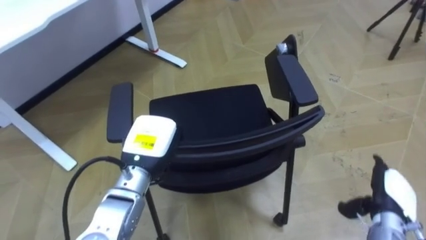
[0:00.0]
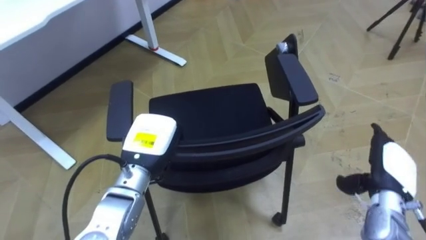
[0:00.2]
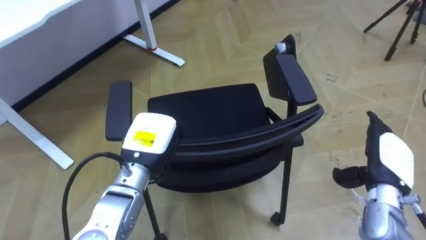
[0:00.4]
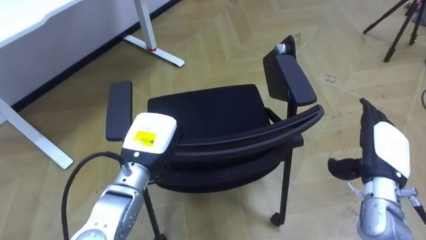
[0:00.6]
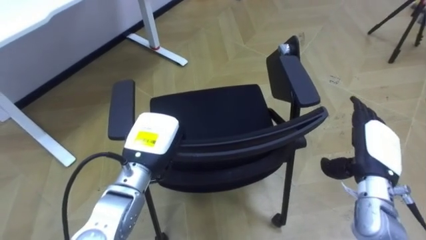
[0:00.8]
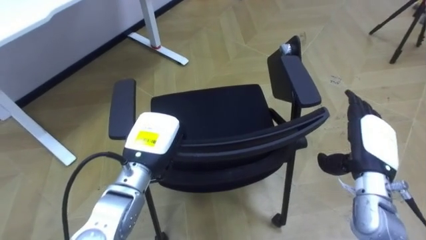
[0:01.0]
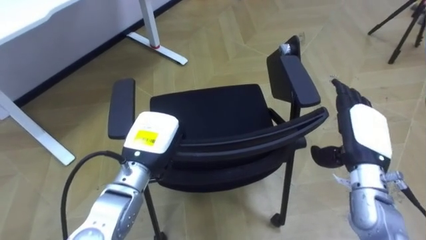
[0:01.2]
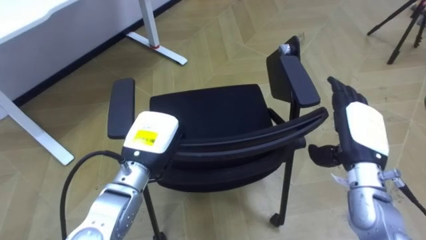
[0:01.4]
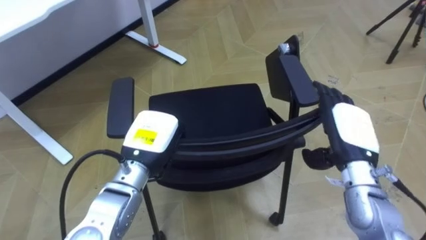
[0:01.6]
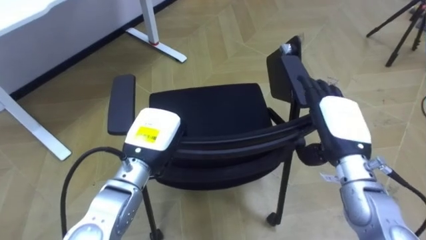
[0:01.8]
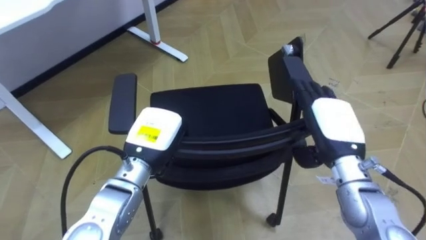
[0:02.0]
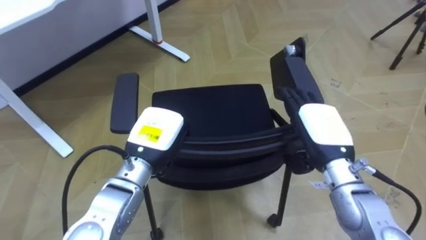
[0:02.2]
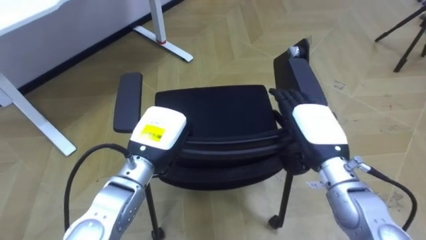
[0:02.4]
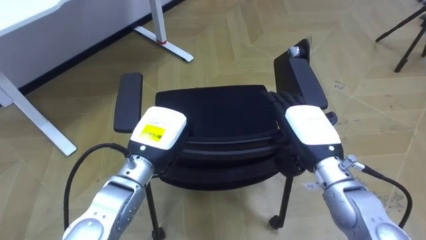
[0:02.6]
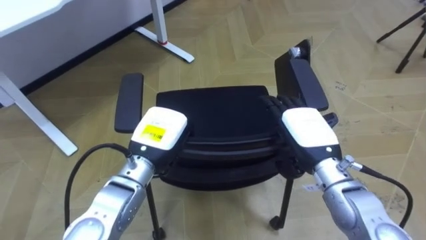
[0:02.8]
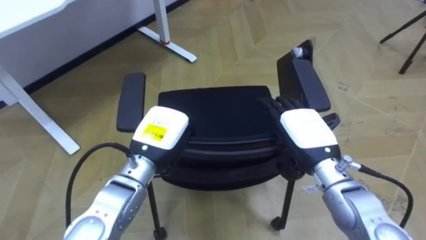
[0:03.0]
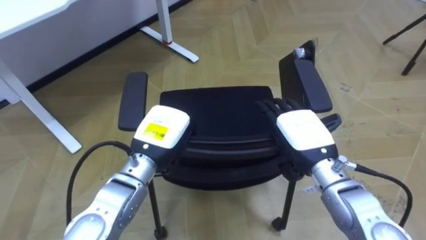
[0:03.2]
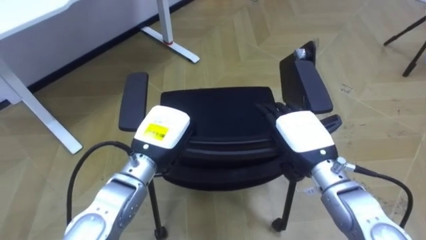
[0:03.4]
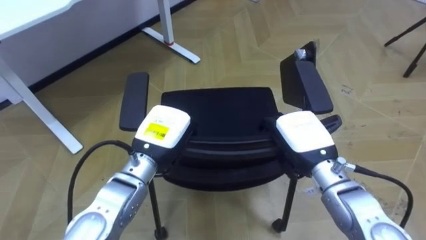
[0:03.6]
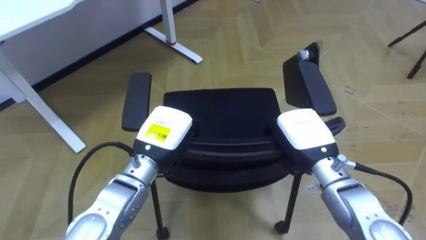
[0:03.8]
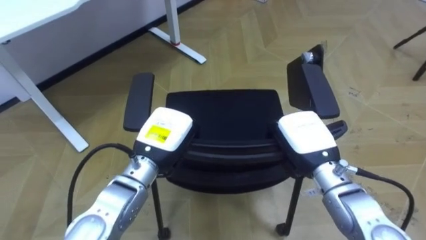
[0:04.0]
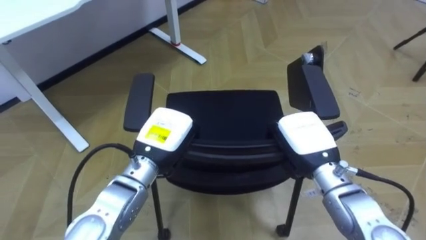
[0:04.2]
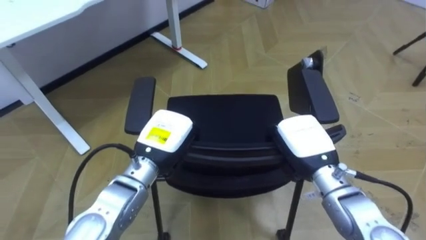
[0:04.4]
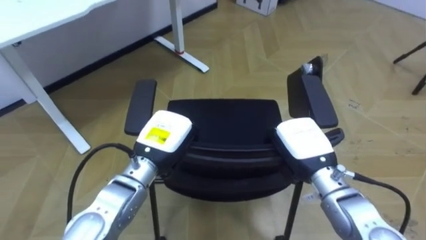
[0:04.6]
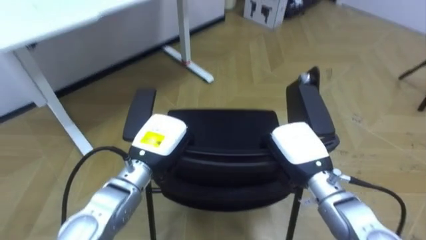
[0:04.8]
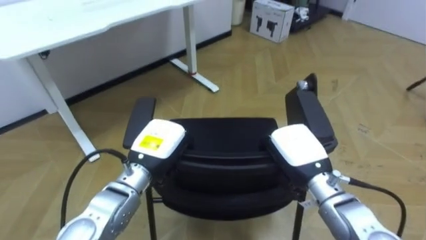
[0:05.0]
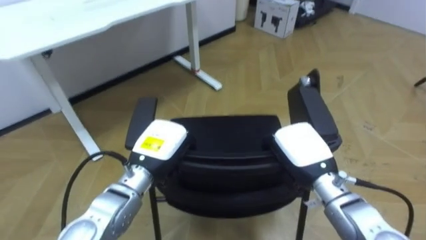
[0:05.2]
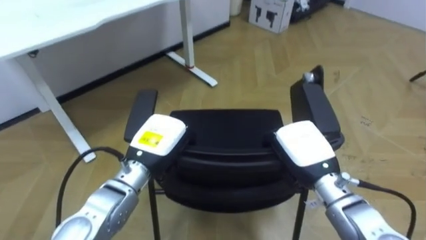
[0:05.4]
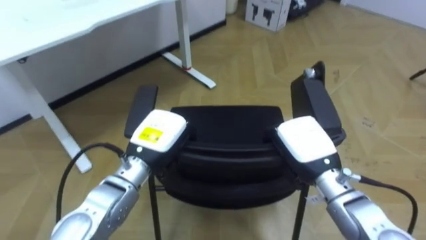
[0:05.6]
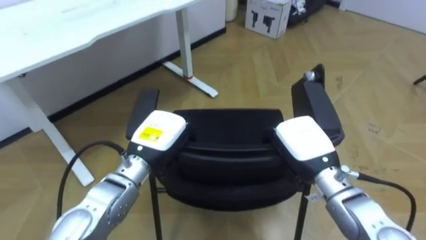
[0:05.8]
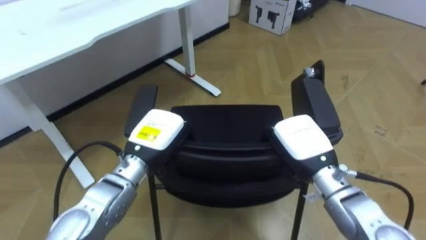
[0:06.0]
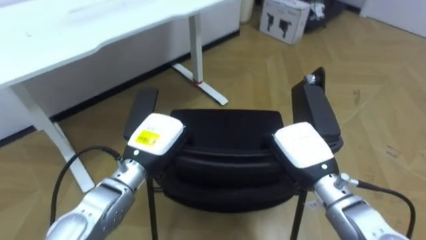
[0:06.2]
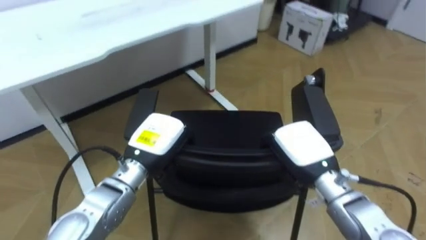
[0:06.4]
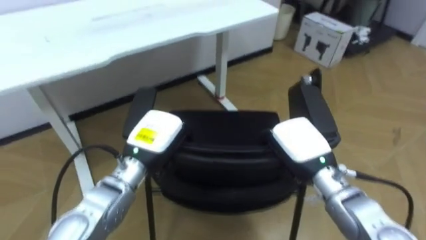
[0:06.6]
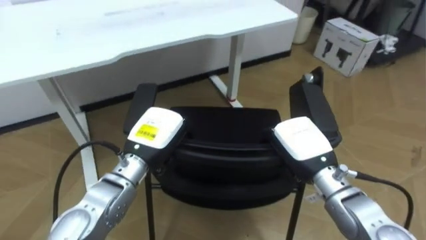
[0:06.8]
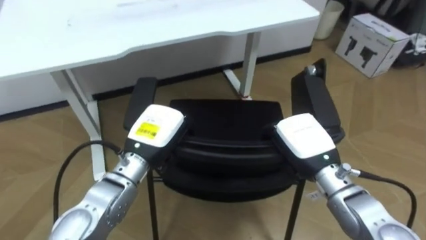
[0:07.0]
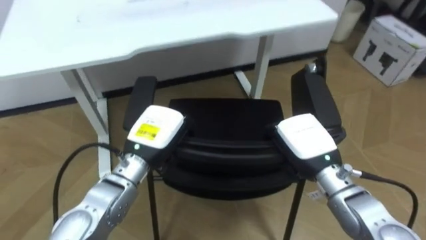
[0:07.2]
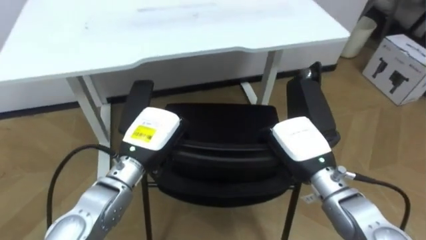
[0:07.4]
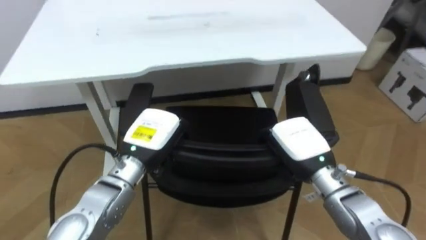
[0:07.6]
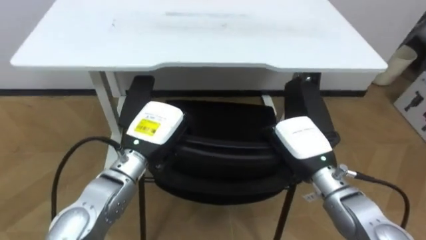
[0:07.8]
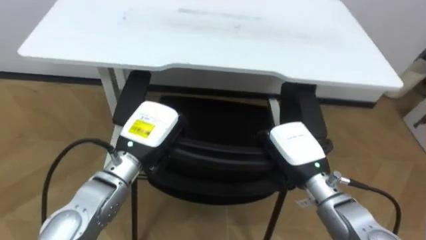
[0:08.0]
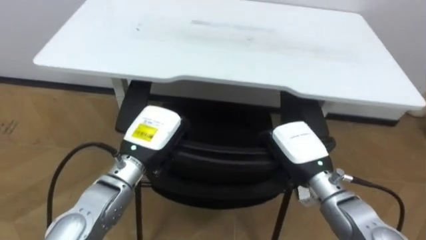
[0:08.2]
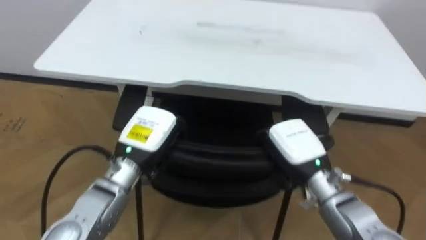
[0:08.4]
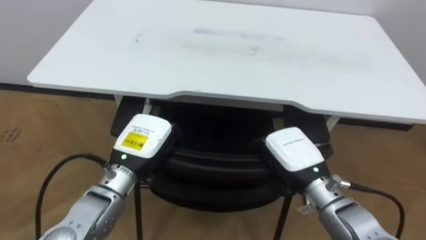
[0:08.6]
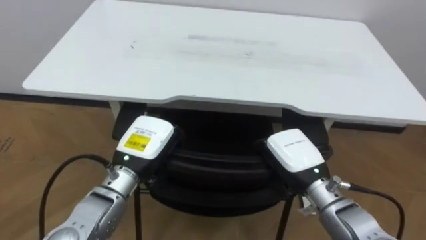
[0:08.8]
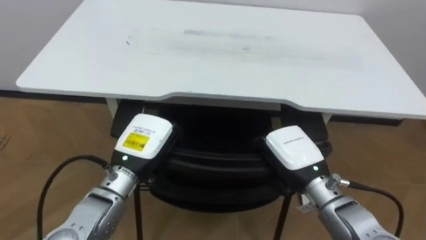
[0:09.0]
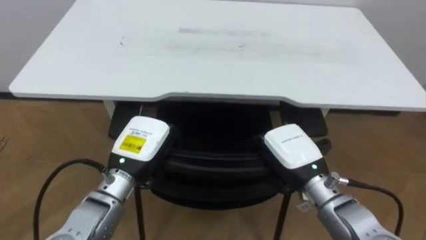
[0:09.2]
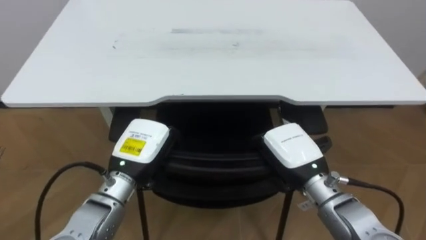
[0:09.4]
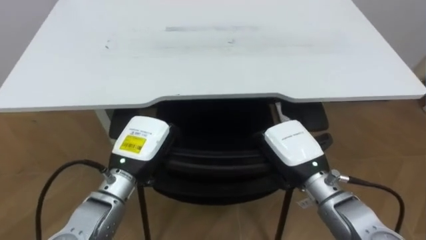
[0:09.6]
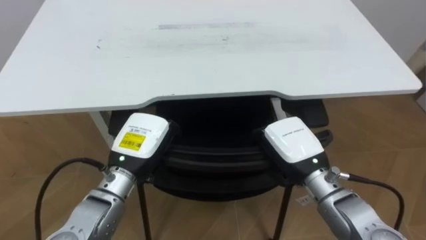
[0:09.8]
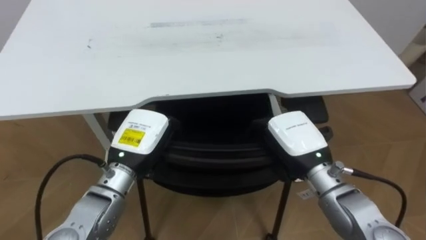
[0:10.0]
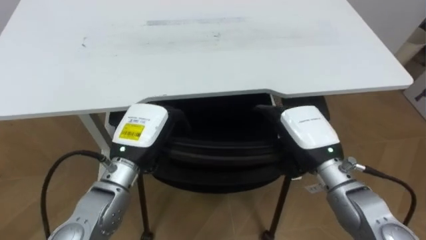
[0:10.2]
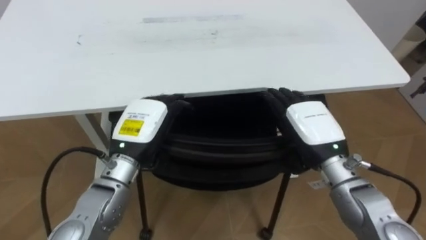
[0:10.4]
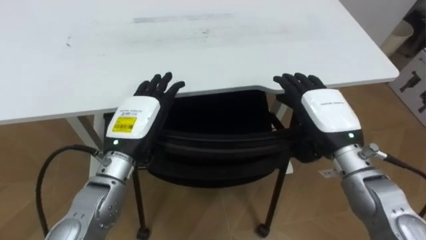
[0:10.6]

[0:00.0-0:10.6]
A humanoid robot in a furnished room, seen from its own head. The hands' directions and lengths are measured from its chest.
Task of the whole recording: Push the chair under the table.
0:00.0 to 0:01.6: The right hand travels upward, to the left and forward by some 15 cm.
0:01.6 to 0:03.0: The right hand travels to the left by roughly 5 cm.
0:03.0 to 0:04.6: The right hand closes its fingers.
0:06.0 to 0:07.6: The robot faces roughly 30 degrees further to its left.
0:09.0 to 0:10.6: The left hand opens up. Meanwhile the right hand is displaced upward by about 5 cm, and opens its fingers.

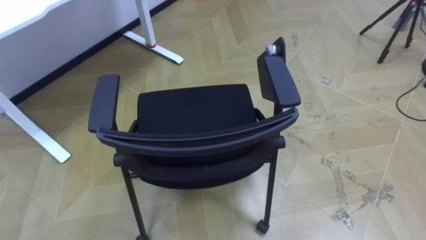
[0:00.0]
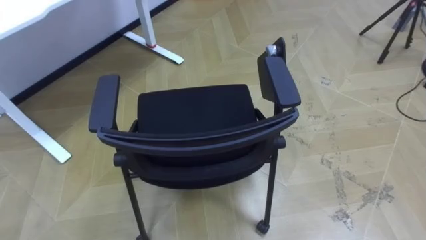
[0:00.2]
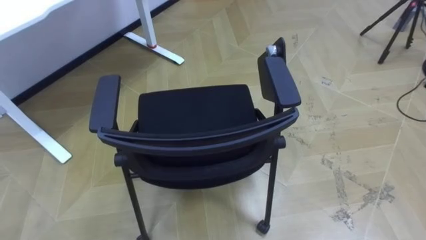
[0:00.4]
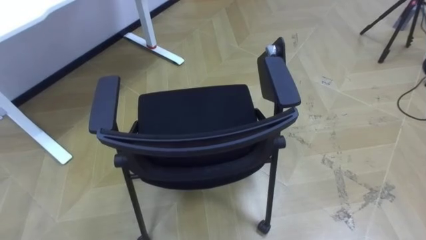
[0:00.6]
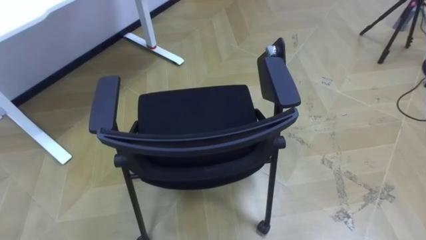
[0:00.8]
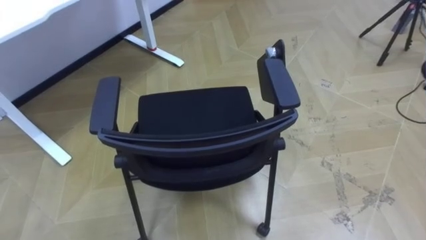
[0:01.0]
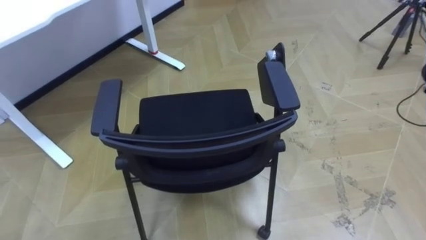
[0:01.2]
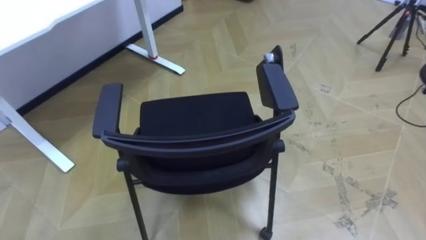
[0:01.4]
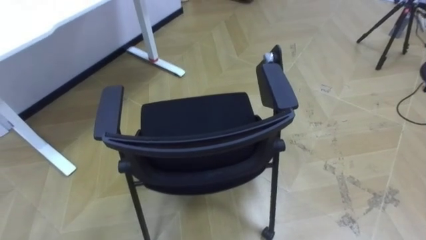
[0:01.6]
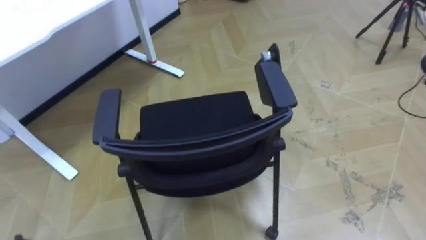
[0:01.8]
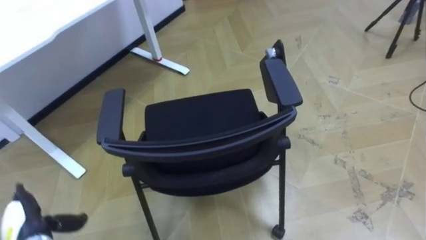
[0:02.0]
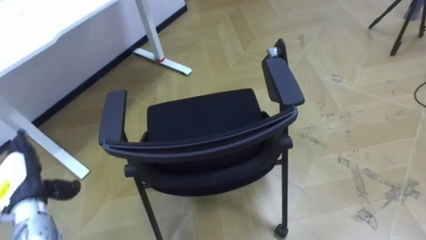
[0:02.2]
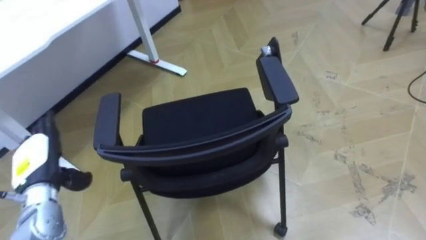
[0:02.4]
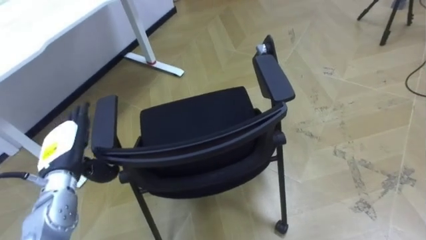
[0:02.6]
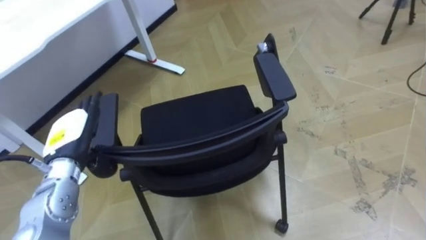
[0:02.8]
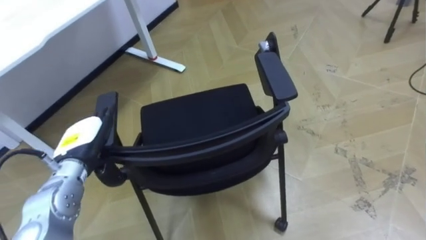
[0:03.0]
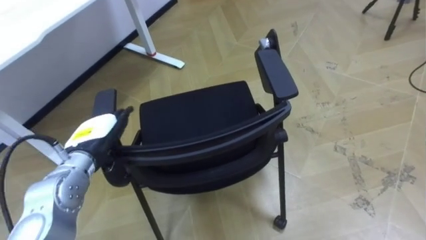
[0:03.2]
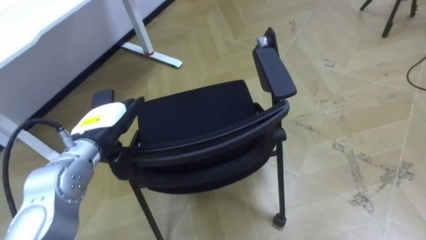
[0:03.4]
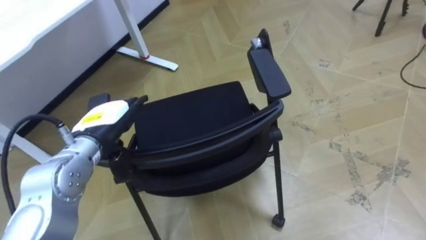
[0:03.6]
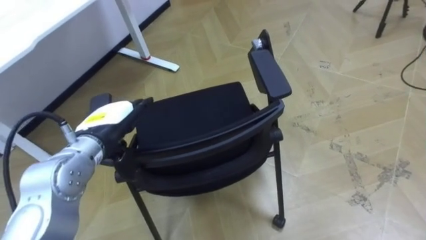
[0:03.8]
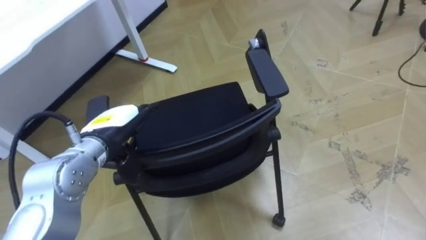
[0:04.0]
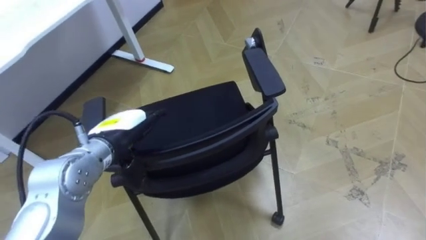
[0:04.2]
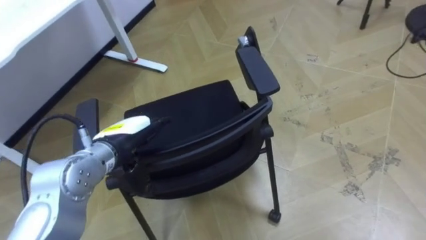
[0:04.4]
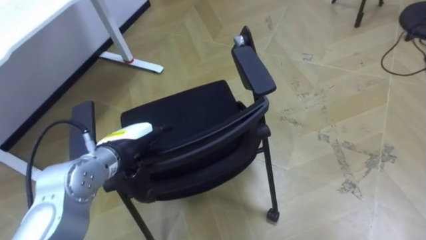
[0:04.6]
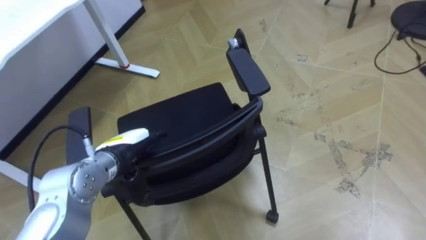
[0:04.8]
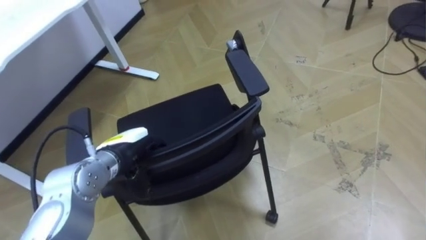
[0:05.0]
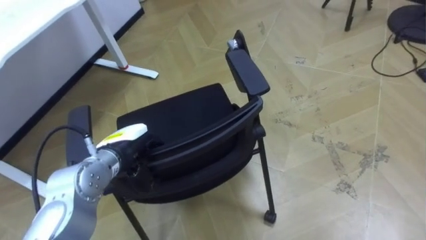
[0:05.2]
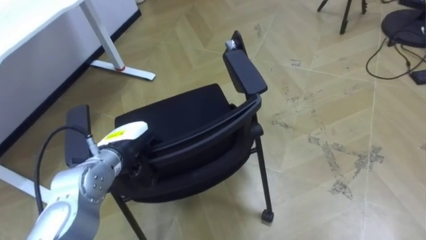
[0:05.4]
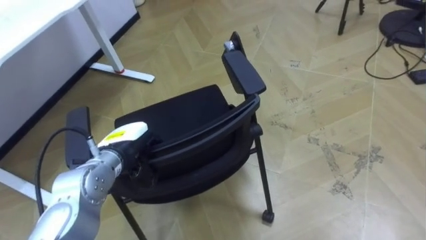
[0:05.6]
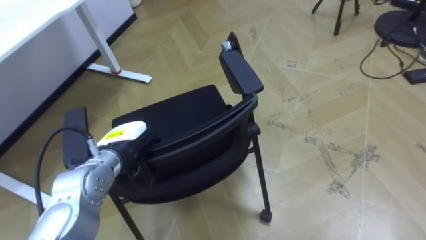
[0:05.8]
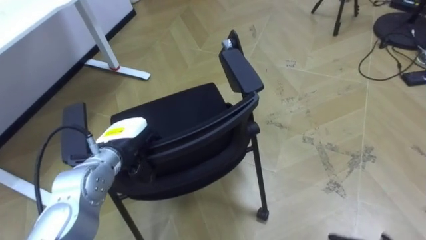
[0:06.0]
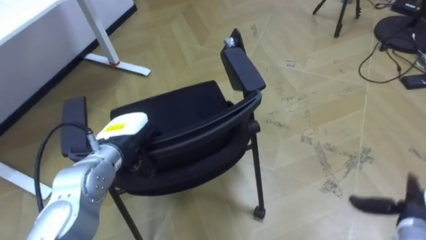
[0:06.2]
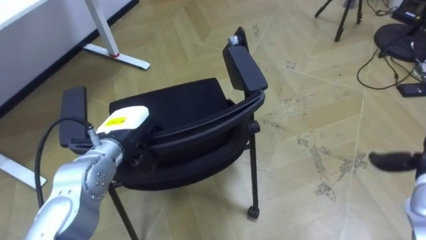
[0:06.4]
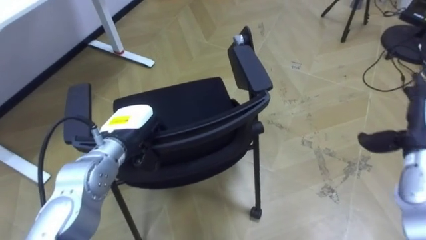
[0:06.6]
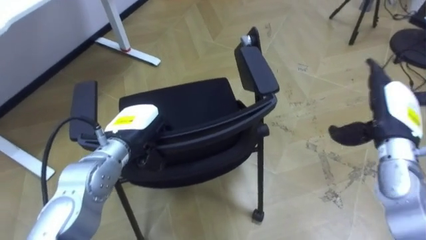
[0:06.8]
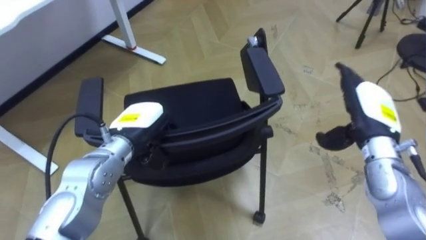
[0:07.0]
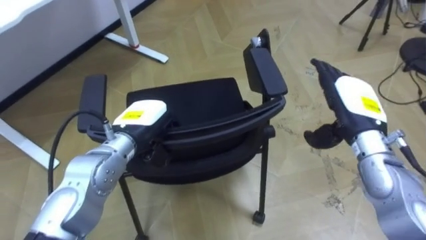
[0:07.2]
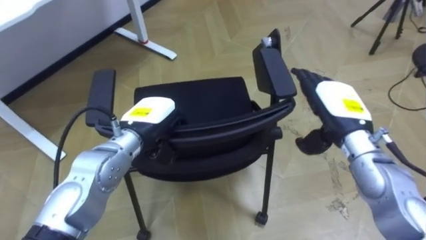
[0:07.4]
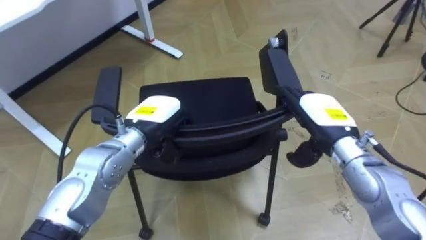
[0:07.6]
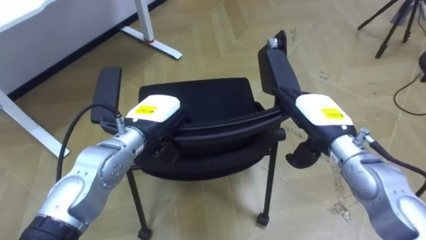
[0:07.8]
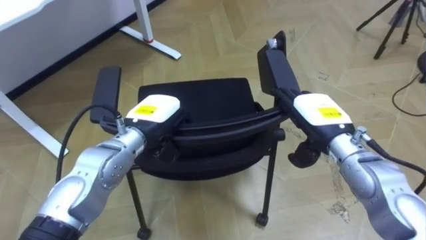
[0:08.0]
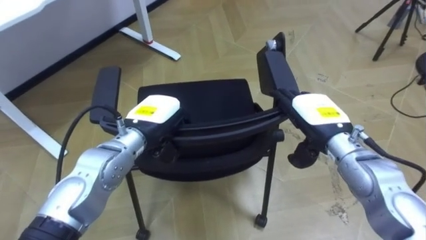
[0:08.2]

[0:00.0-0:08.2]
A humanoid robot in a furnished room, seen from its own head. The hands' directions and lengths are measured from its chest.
Task of the whole recording: Push the chair under the table.
0:03.2 to 0:05.0: The left hand goes some 5 cm to the right.
0:06.6 to 0:08.2: The right hand shifts approximately 15 cm to the left.
